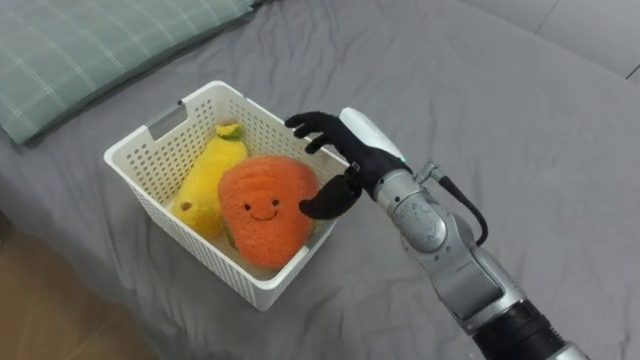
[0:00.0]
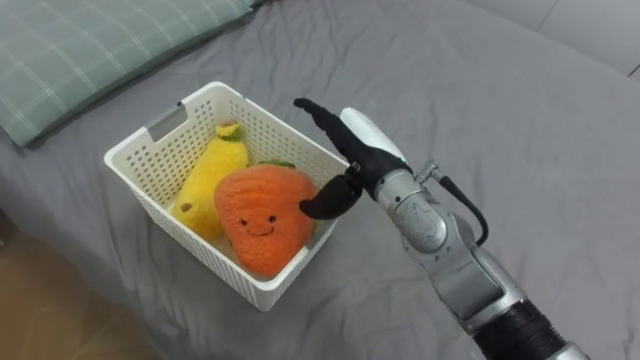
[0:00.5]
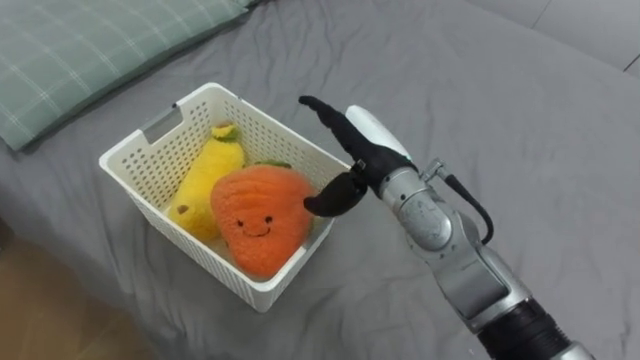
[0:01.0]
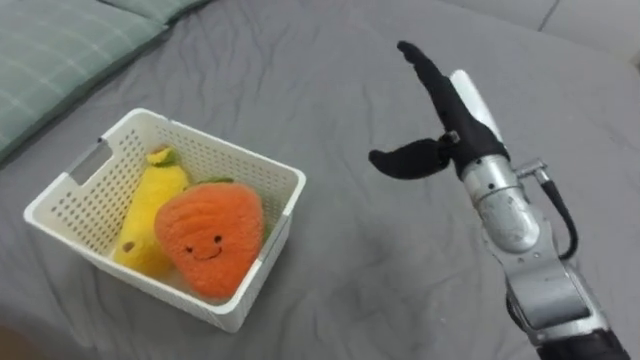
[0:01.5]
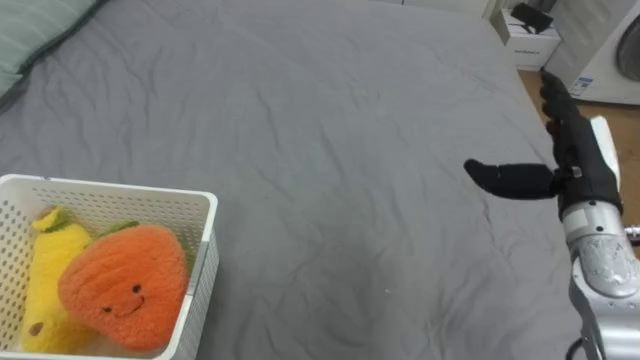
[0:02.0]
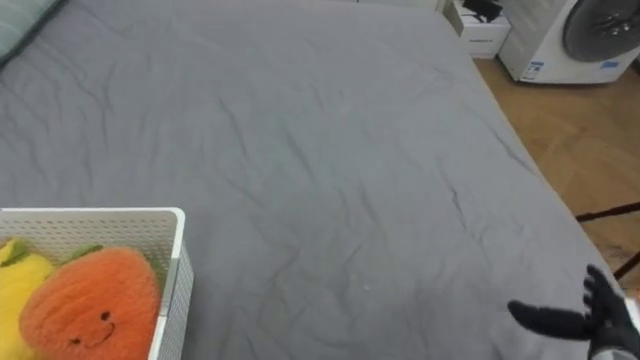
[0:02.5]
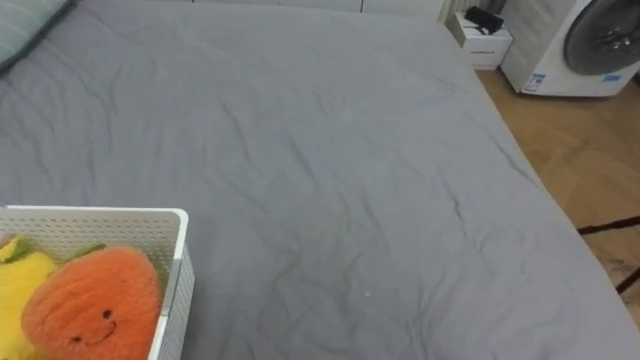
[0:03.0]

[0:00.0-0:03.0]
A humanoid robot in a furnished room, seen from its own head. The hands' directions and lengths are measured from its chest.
Task of the whole recording: Put the toys on the bed into the basket on the left.
0:00.0 to 0:01.5: The right hand goes approximately 10 cm to the right.

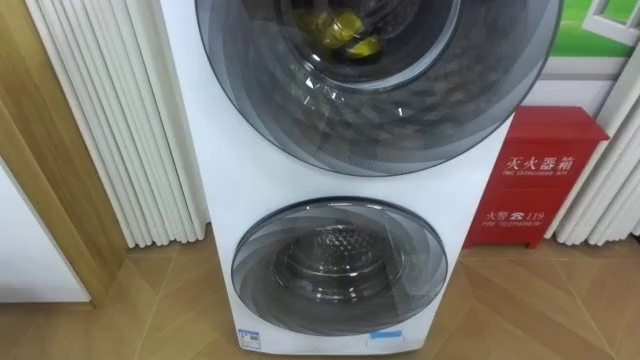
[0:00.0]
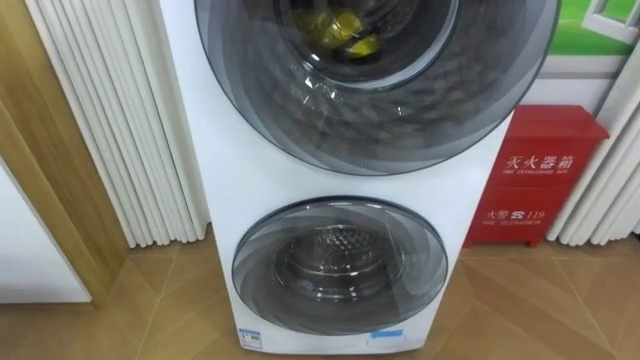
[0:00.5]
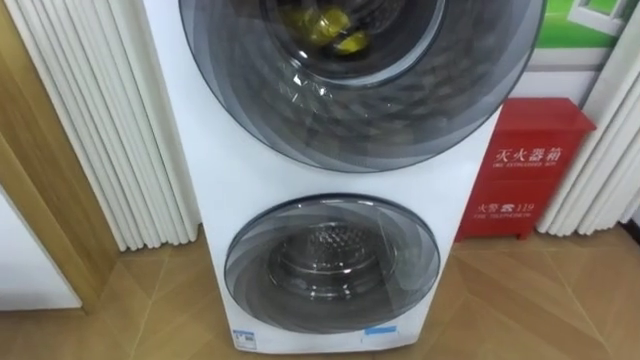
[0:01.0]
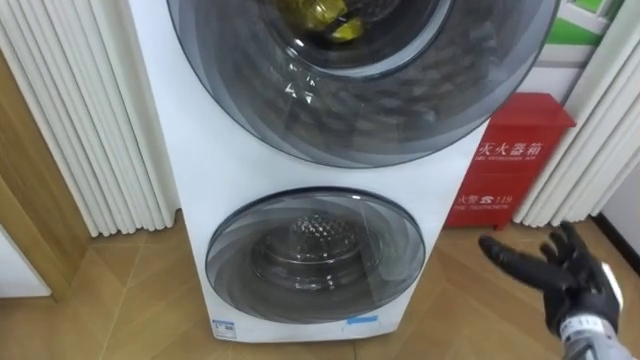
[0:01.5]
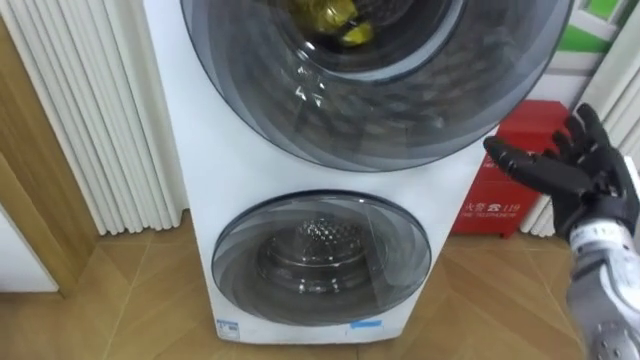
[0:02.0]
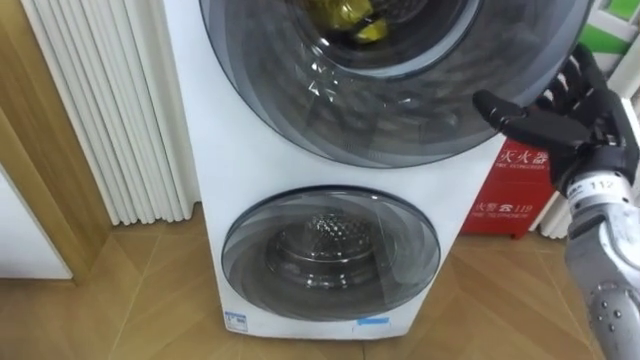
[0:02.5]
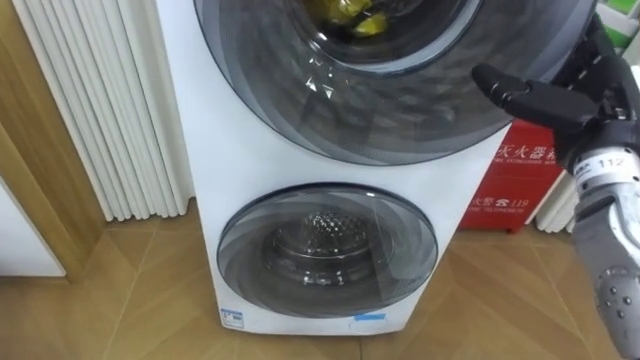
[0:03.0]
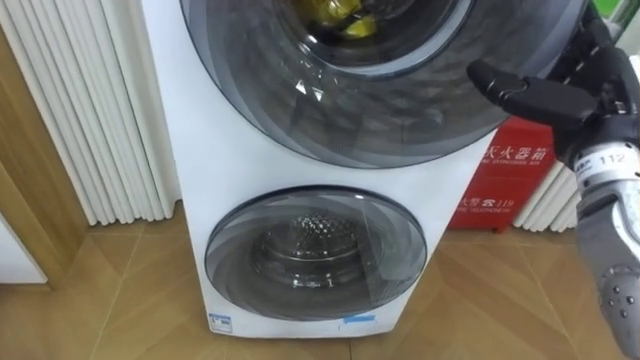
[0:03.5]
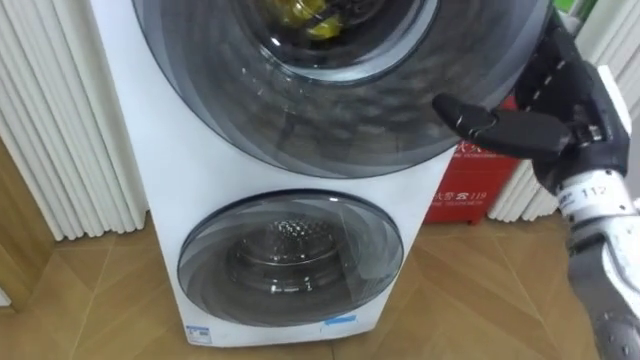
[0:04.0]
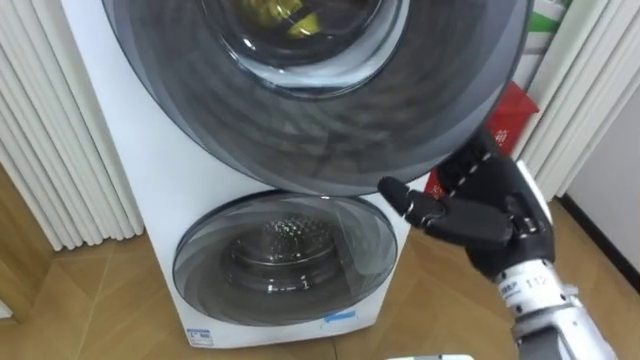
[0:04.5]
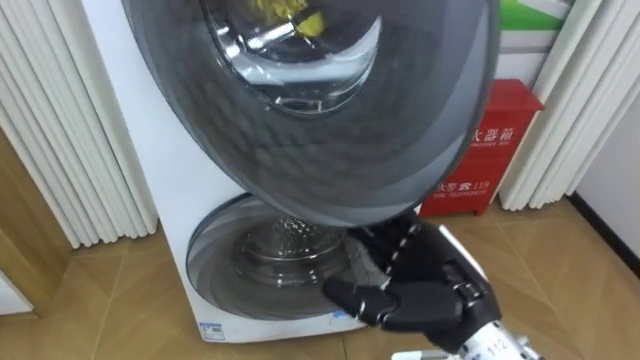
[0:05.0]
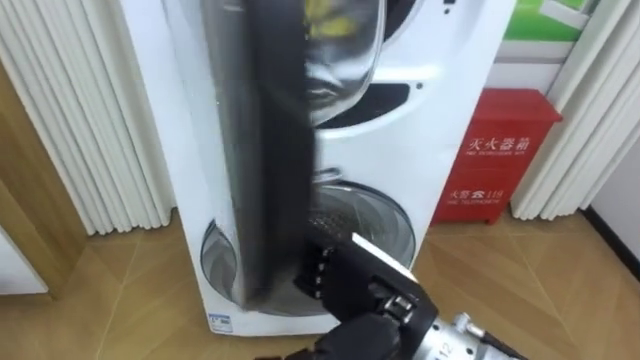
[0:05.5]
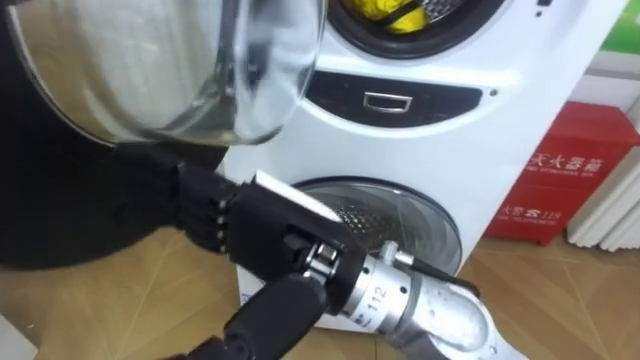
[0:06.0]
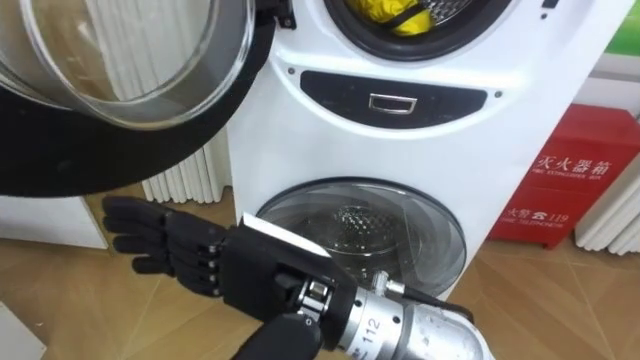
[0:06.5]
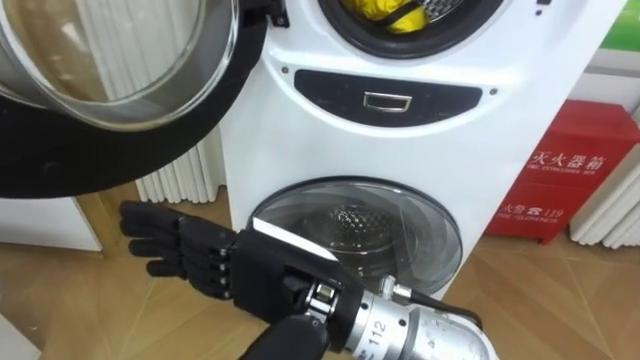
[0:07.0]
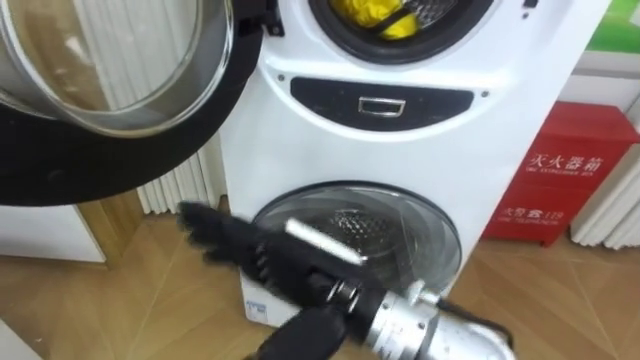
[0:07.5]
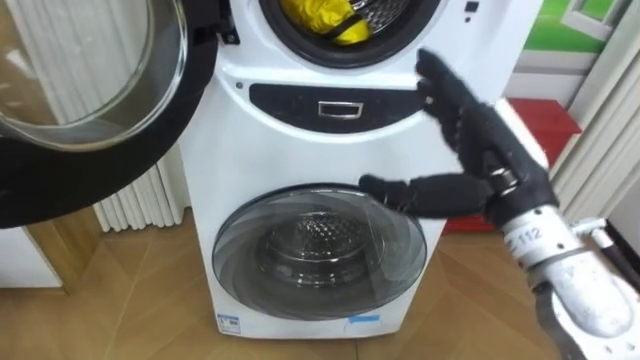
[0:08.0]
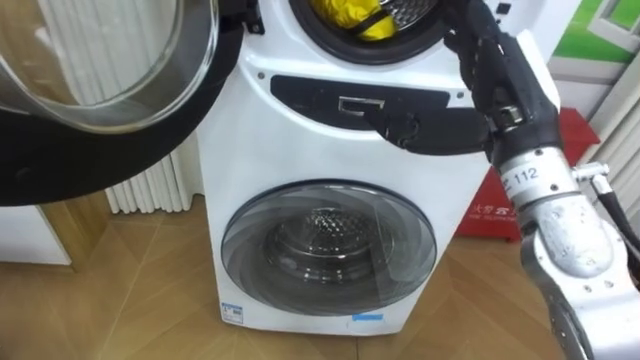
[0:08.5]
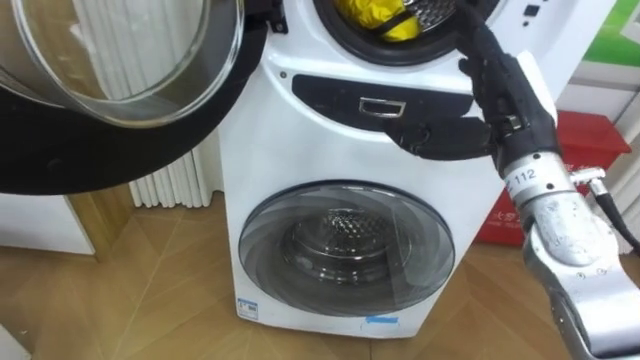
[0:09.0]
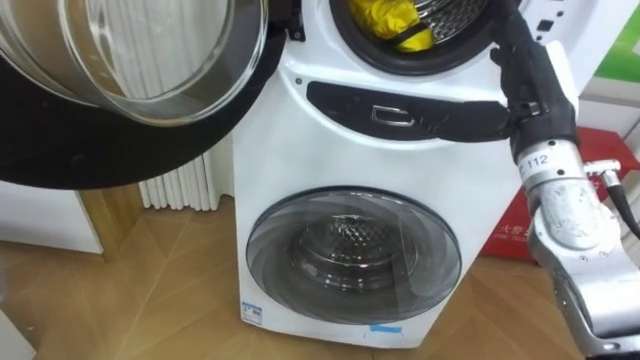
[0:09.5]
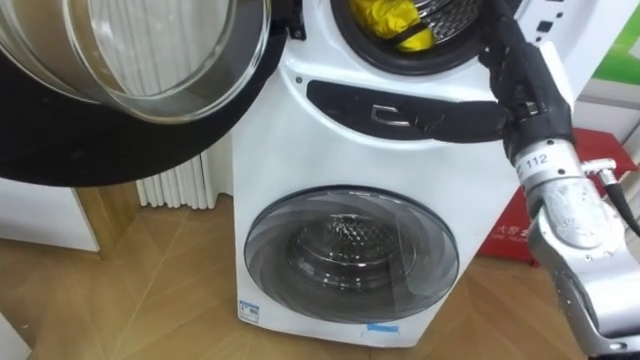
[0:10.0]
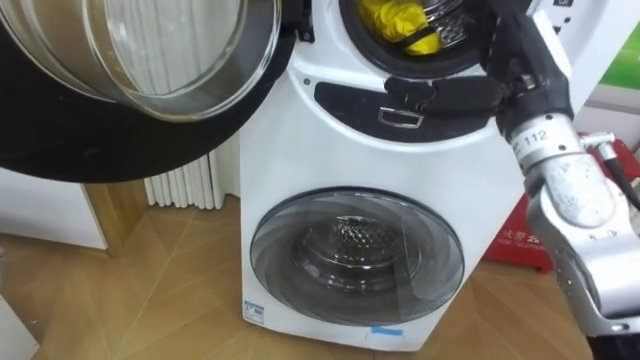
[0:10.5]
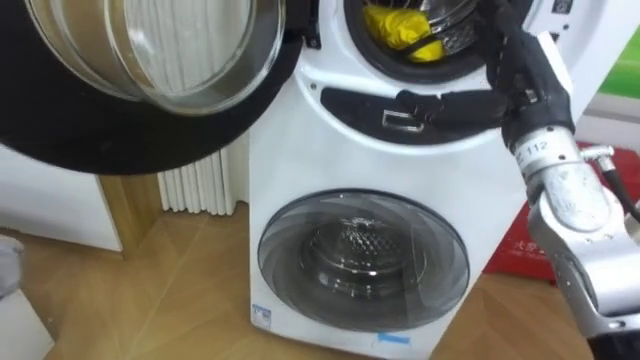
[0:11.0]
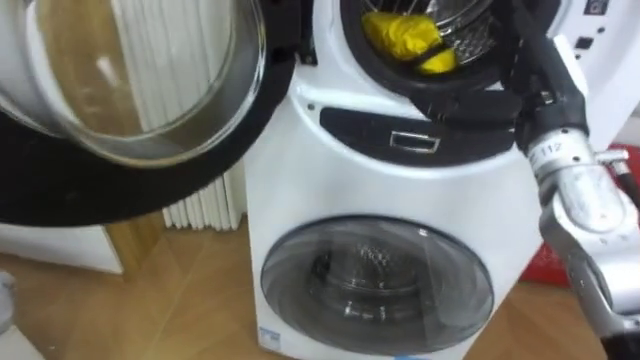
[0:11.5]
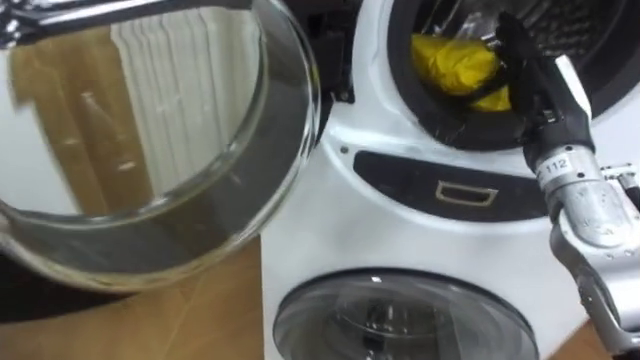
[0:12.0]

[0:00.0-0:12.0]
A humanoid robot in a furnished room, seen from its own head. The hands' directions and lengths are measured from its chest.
Task of the whole recording: Open the washing machine door, take out the yellow clothes, place them in the box on the right, and close the washing machine door.
0:02.0 to 0:04.0: The right hand heads upward and to the left, covering roughly 10 cm.
0:04.0 to 0:06.0: The right hand goes about 25 cm to the left and backward.
0:06.0 to 0:08.0: The right hand shifts roughly 20 cm to the right and forward.
0:08.0 to 0:10.0: The right hand travels forward by roughly 5 cm.

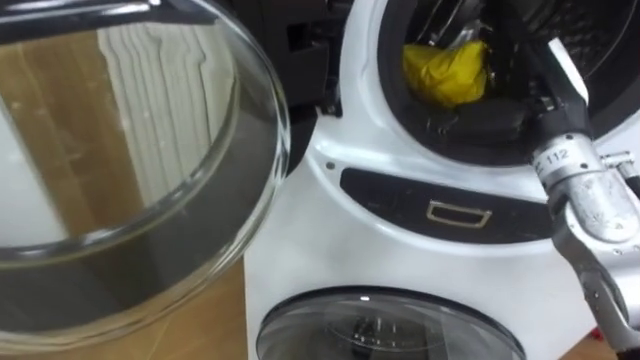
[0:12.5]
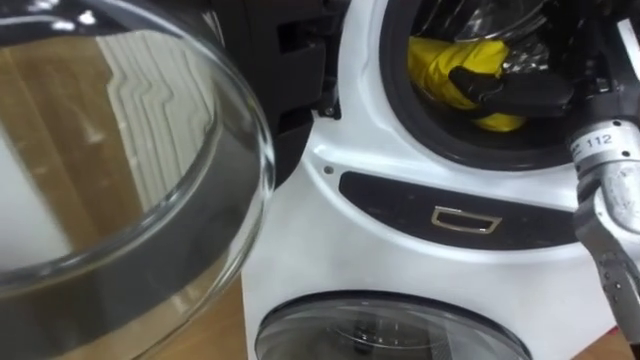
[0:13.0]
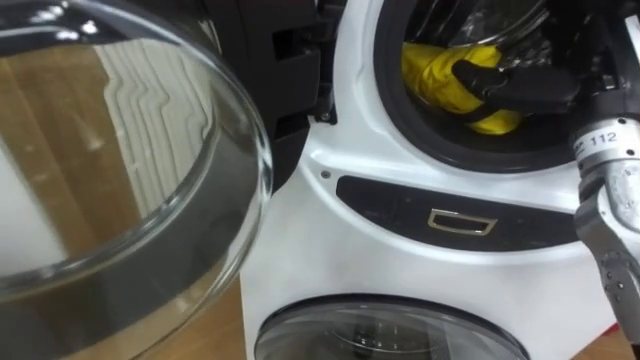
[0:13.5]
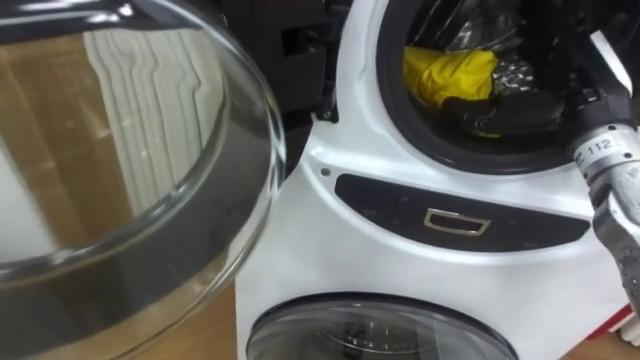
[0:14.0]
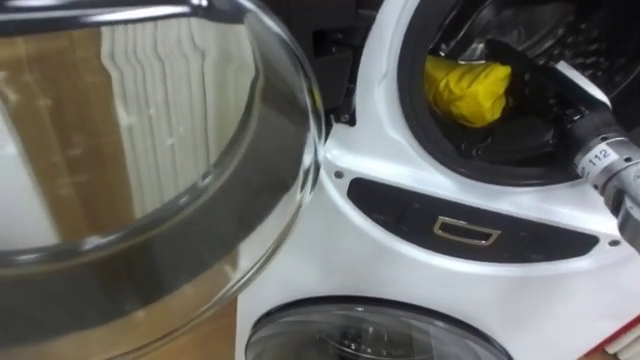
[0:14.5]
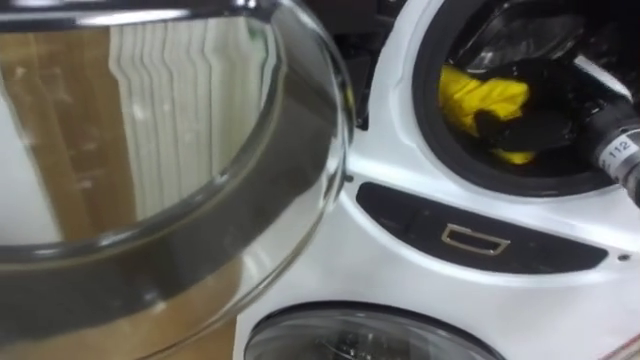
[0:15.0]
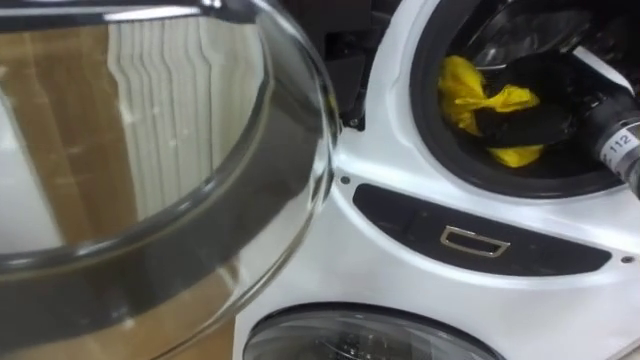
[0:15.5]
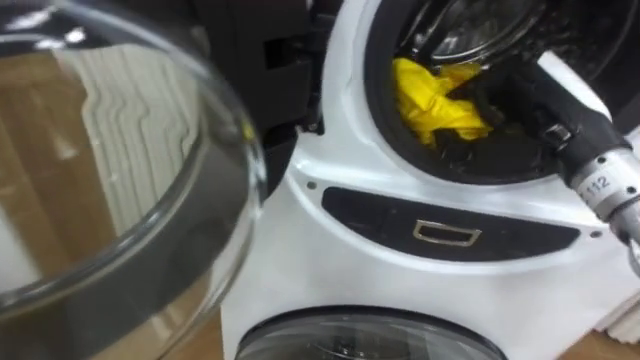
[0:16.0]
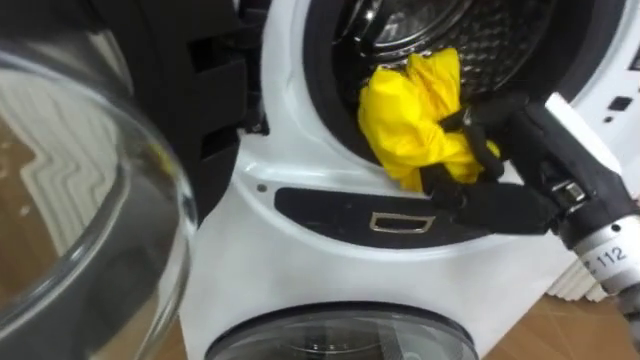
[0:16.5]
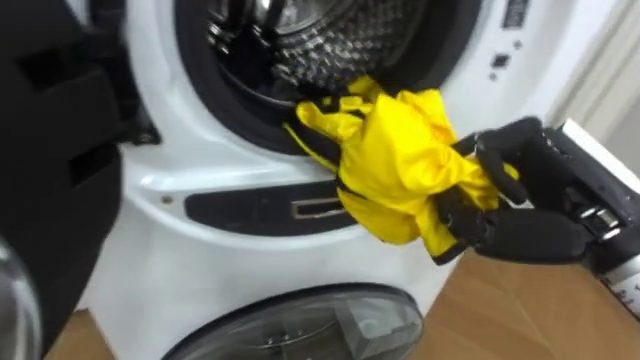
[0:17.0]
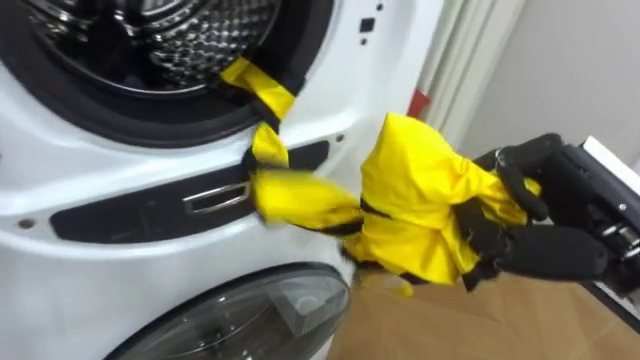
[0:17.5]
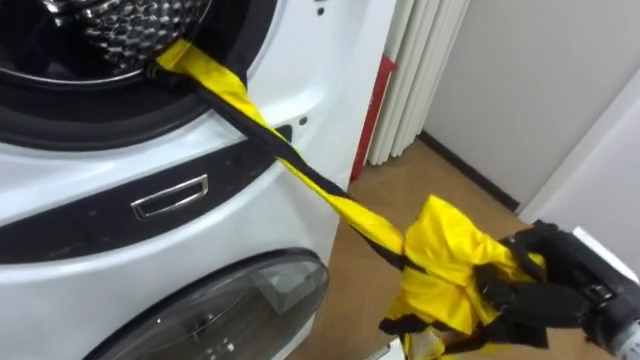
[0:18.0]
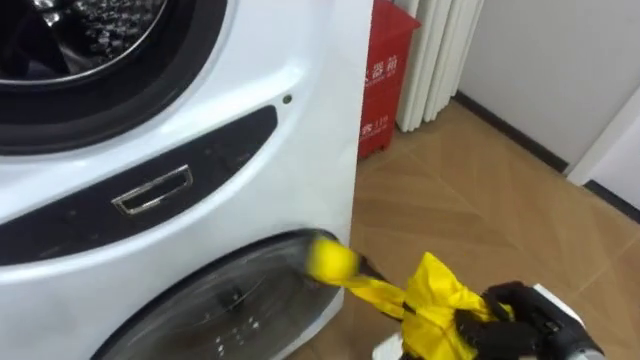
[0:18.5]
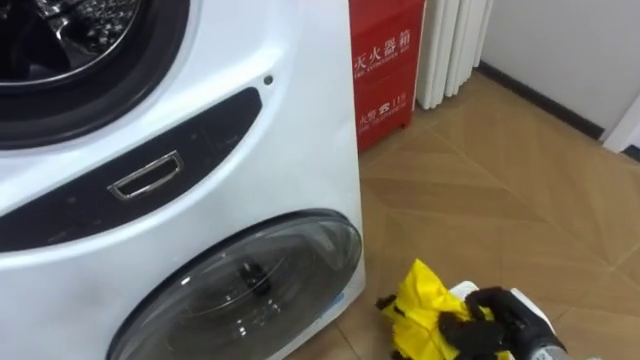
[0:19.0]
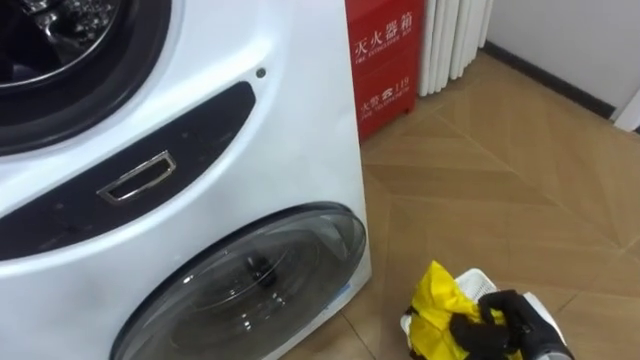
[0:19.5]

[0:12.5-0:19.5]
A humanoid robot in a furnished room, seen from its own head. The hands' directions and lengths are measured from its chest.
Task of the whole recording: Open the washing machine door, take out the yellow clothes, place them in the box on the right, and close the washing machine door.
0:12.5 to 0:14.5: The right hand shifts by roughly 5 cm.
0:14.5 to 0:16.0: The right hand travels backward by approximately 5 cm, and closes its fingers.
0:16.0 to 0:17.5: The right hand goes roughly 10 cm backward.
0:17.5 to 0:19.5: The right hand heads downward, covering some 25 cm.
